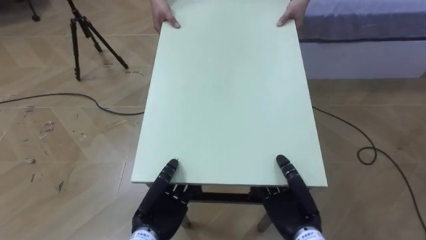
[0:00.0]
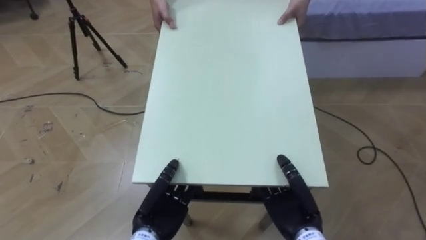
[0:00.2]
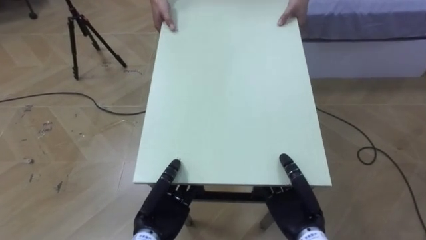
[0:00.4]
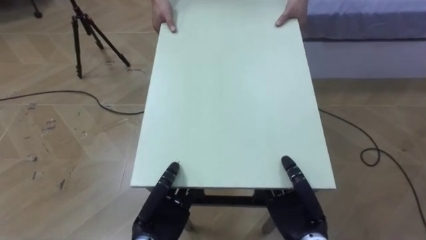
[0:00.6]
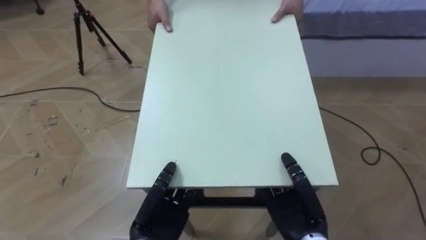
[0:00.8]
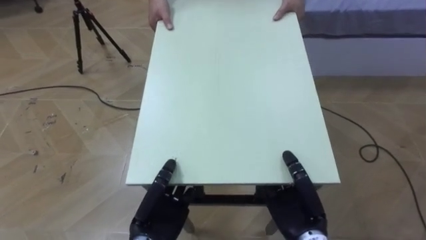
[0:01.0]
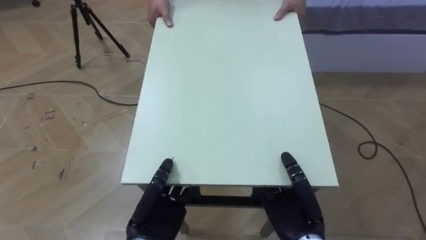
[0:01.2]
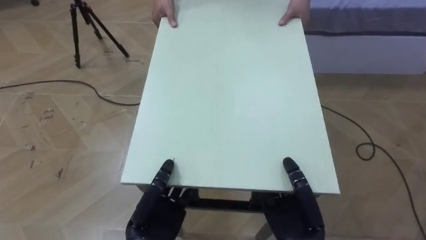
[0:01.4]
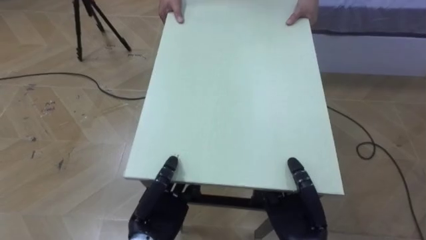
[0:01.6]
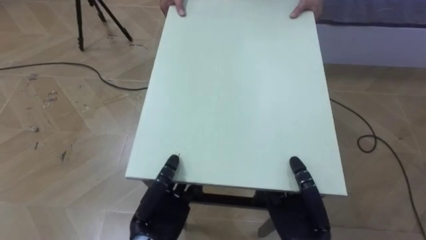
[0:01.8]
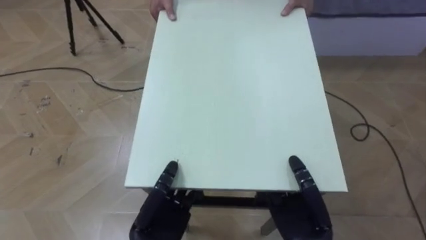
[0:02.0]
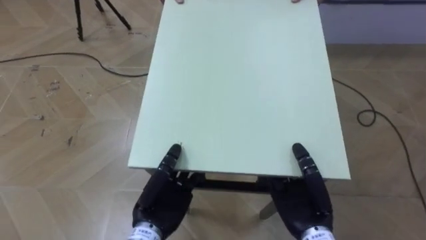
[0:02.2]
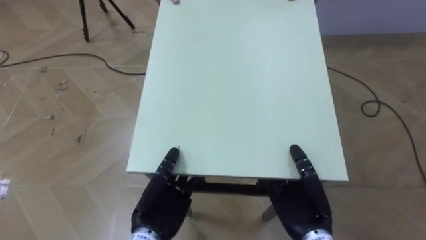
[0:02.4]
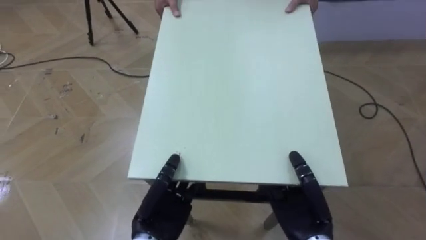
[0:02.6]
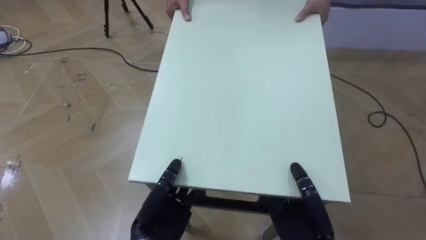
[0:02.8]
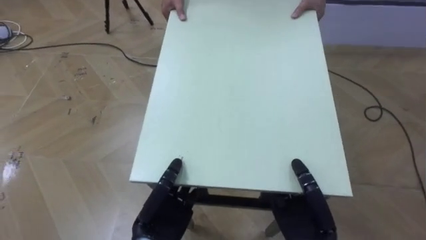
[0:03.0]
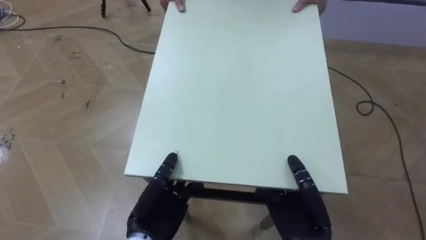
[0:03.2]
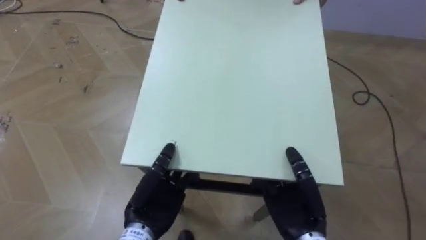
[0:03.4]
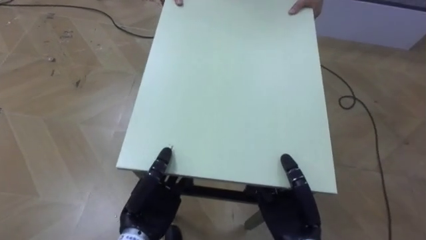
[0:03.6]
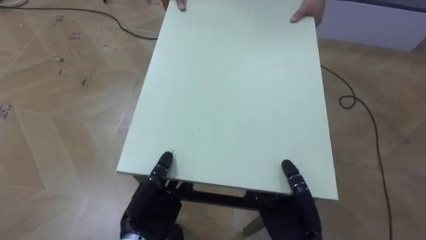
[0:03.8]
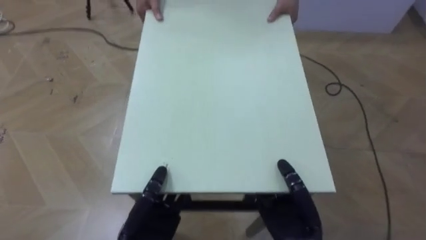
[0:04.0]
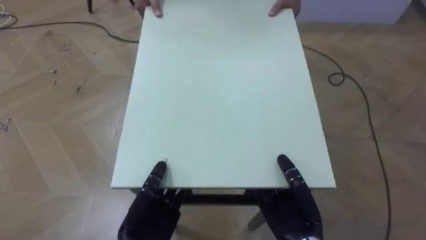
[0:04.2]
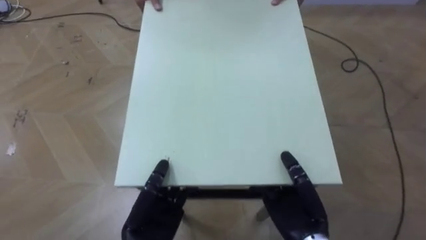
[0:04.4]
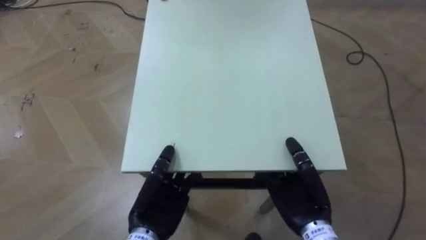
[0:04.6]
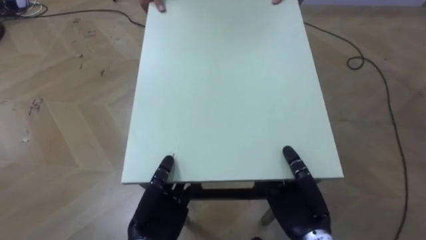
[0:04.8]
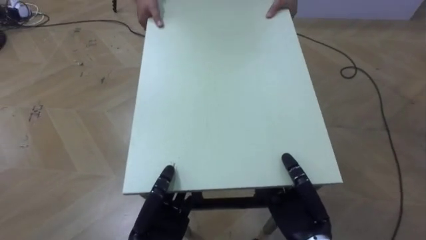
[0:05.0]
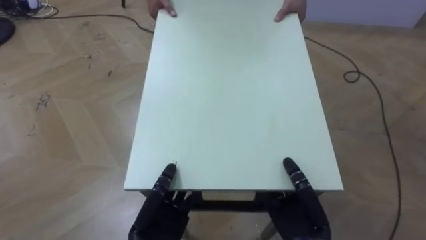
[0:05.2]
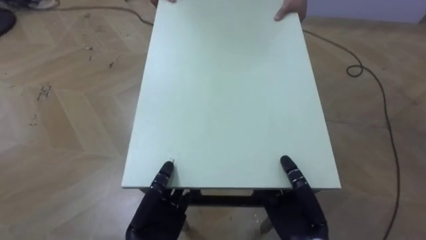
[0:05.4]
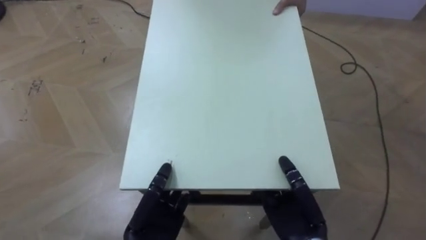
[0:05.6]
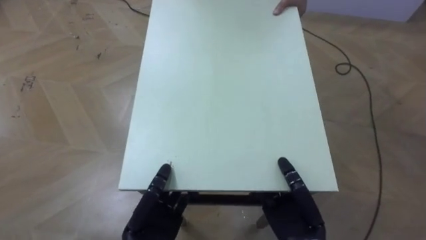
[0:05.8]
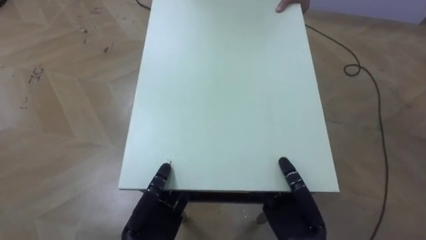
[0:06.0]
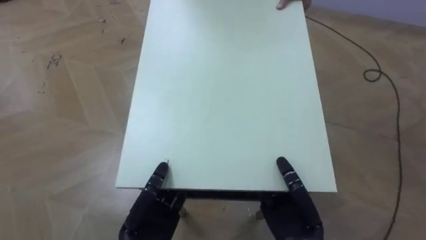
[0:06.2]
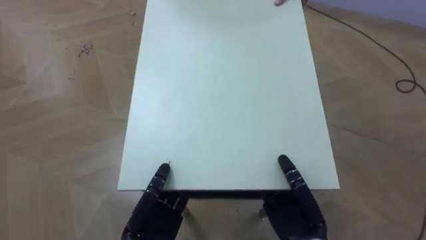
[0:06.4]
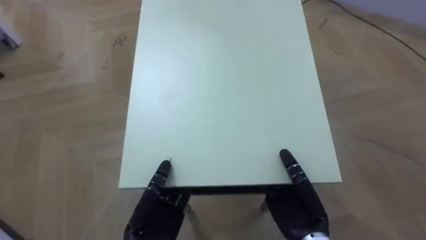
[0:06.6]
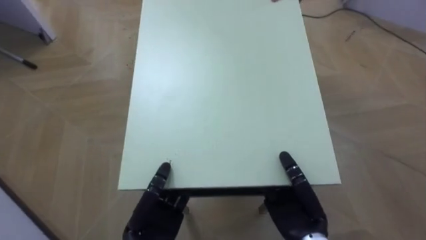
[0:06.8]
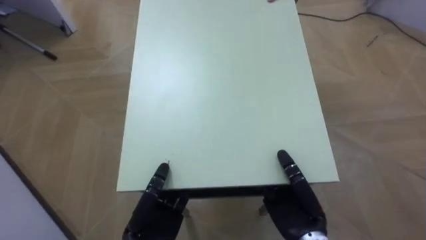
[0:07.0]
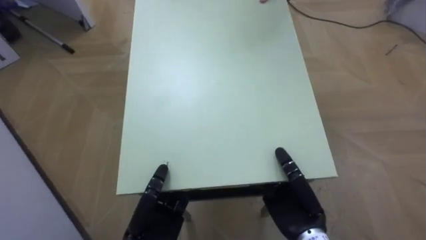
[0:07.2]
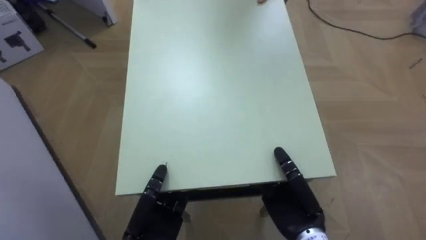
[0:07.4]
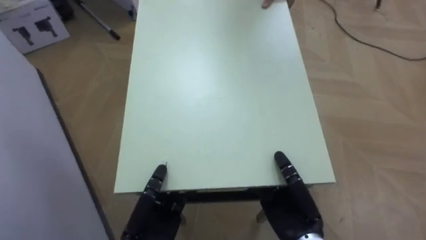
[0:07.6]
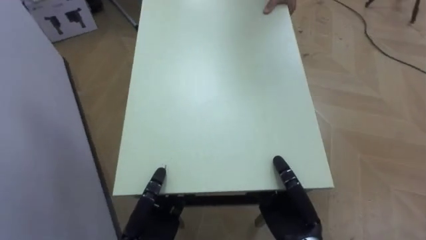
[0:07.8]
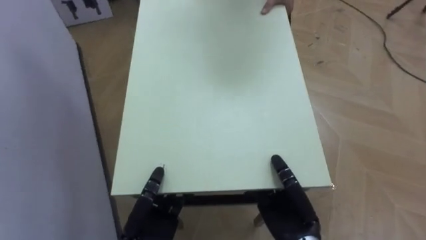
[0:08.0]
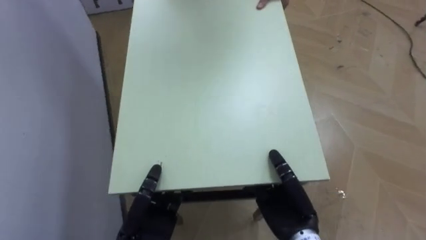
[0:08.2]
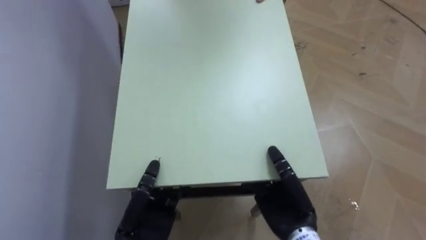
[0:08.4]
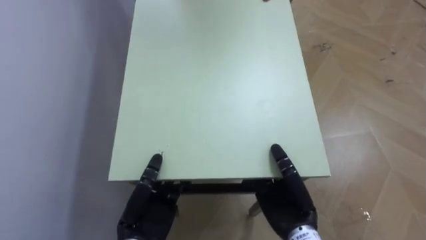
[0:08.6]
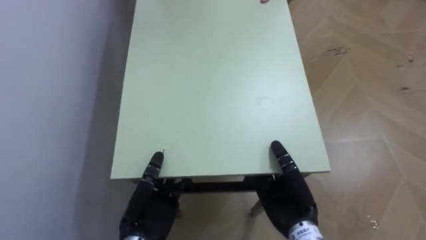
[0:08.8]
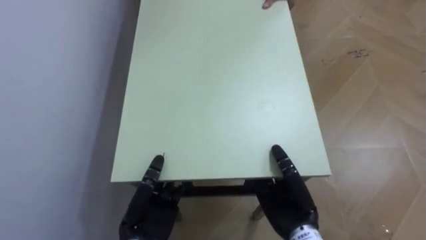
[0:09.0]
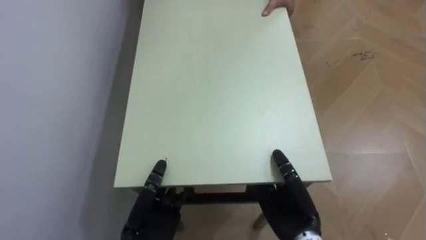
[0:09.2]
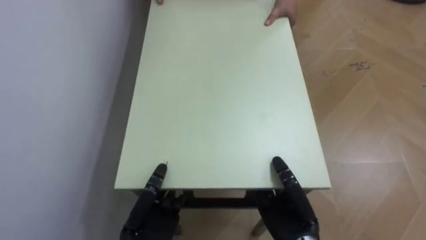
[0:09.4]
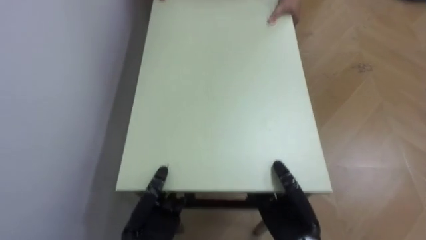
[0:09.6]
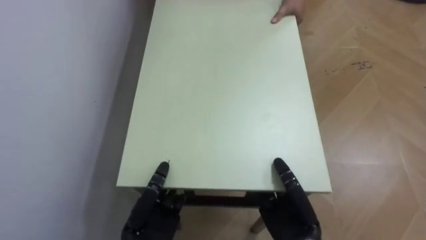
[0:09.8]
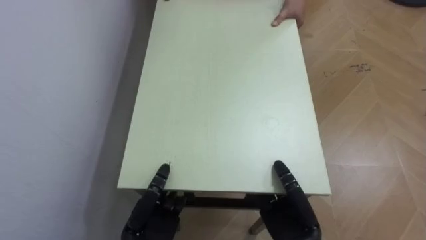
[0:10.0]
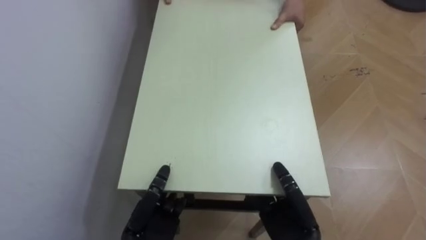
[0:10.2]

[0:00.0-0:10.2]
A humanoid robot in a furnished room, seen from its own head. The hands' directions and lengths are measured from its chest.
Task of the whole recording: Move the table to the back left with someone.
0:05.8 to 0:07.2: The robot turns to its left by about 30 degrees.
0:07.2 to 0:08.8: The robot rotates some 45 degrees to its left.

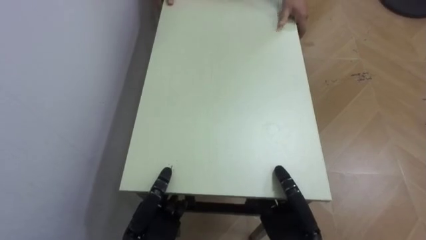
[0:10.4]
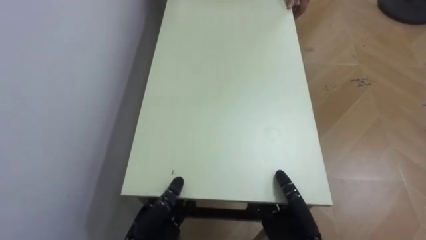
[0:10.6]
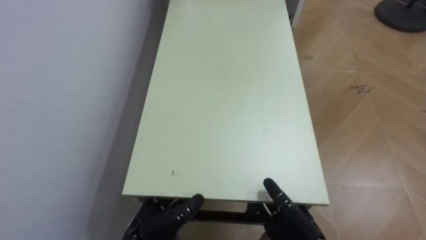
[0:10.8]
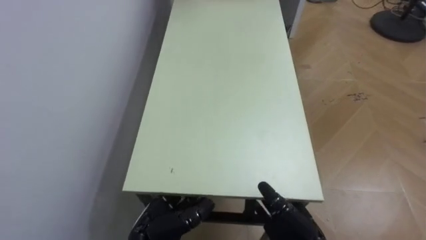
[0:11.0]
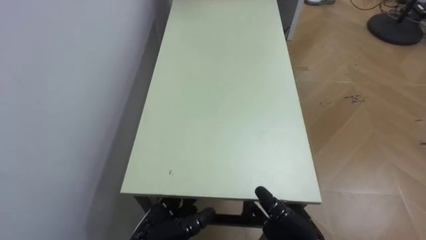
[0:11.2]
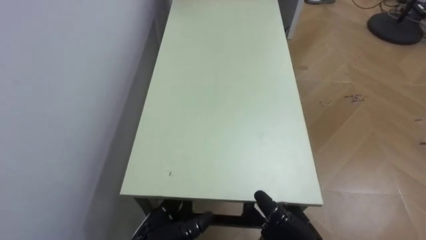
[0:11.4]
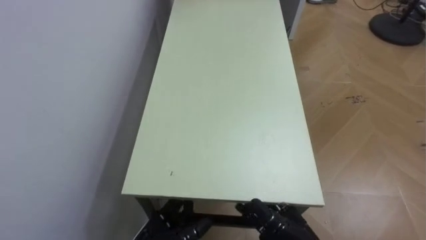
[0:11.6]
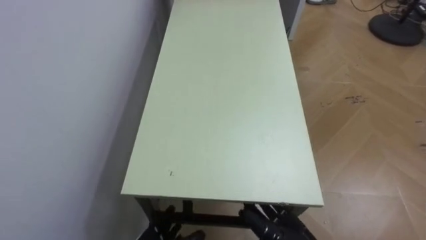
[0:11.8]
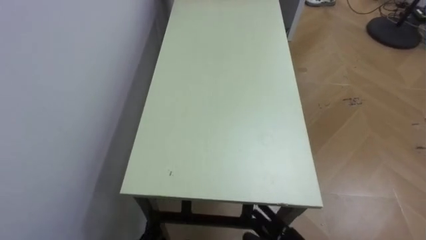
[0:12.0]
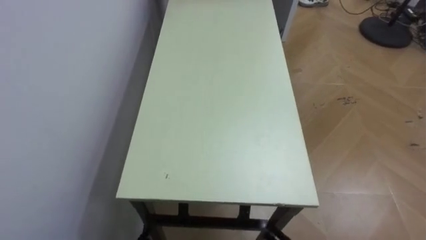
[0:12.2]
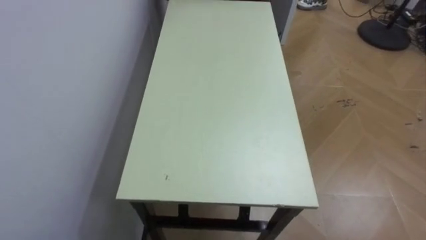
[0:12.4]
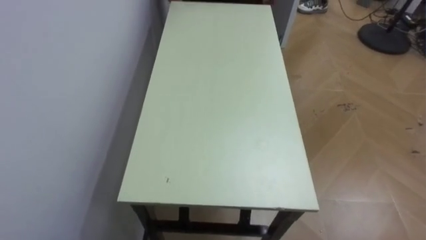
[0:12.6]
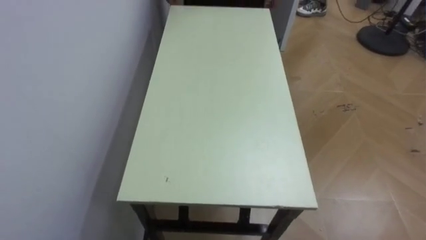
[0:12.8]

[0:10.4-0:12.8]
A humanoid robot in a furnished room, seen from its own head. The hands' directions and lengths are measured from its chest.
Task of the whole recording: Move the table to the back left with someone.
0:10.4 to 0:11.6: The left hand opens up; the right hand opens its fingers.

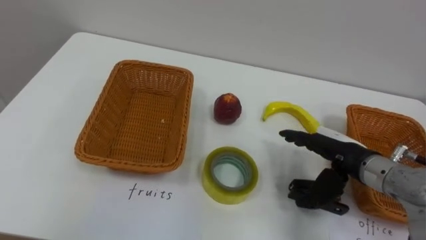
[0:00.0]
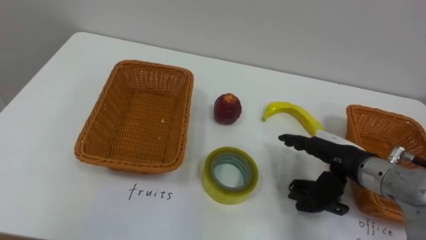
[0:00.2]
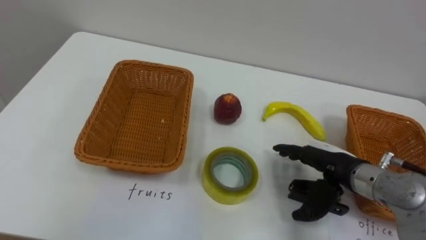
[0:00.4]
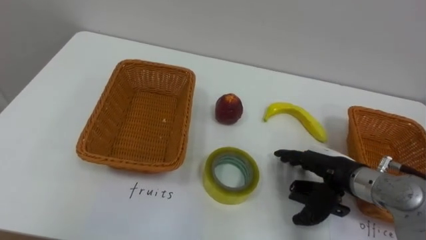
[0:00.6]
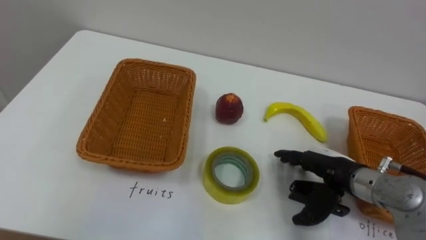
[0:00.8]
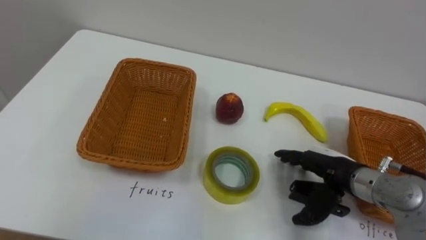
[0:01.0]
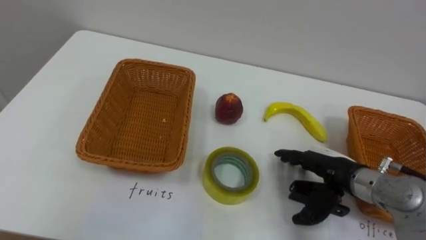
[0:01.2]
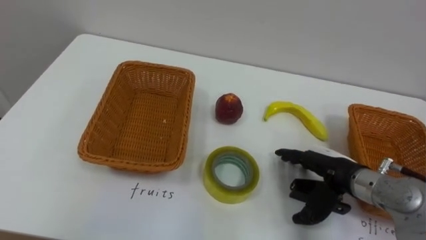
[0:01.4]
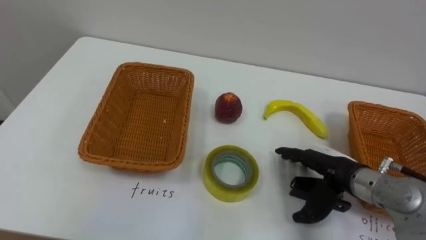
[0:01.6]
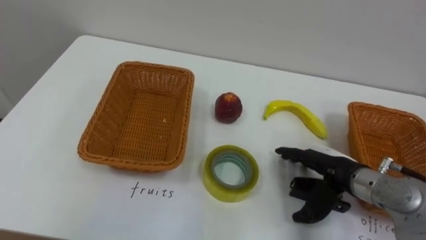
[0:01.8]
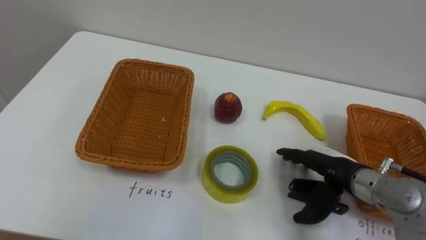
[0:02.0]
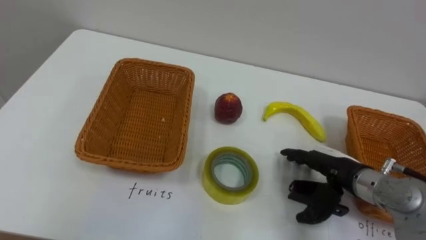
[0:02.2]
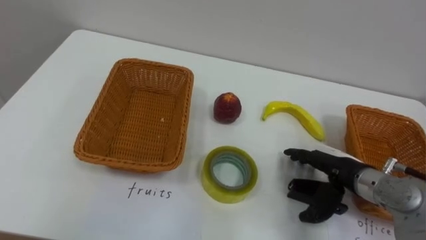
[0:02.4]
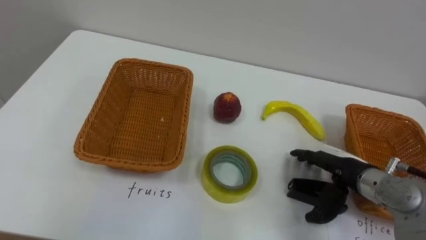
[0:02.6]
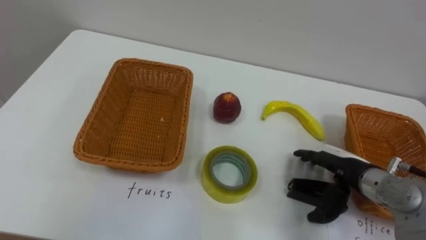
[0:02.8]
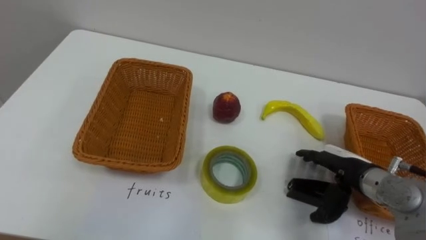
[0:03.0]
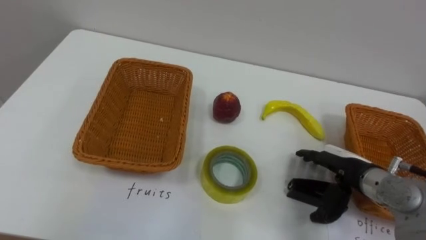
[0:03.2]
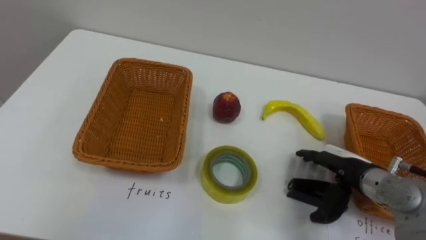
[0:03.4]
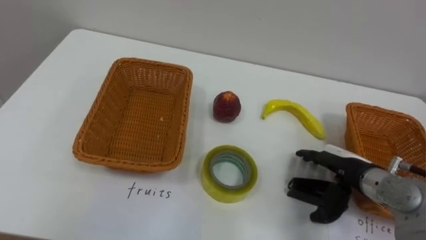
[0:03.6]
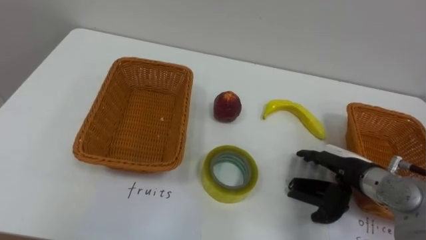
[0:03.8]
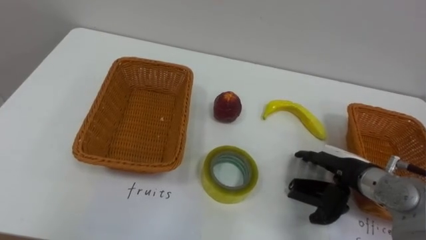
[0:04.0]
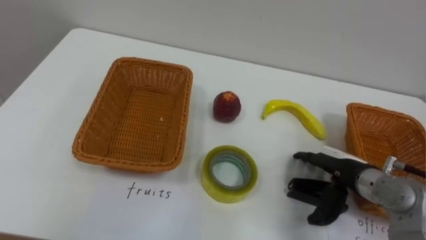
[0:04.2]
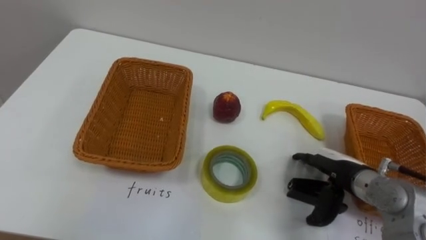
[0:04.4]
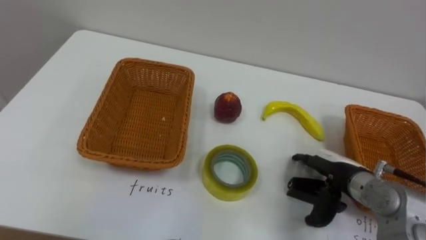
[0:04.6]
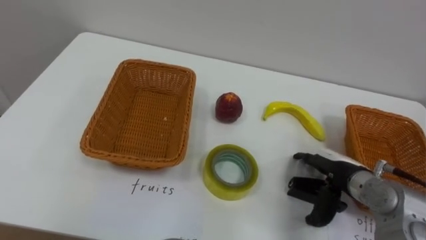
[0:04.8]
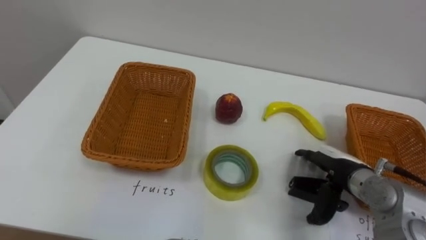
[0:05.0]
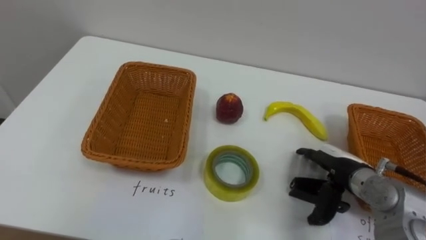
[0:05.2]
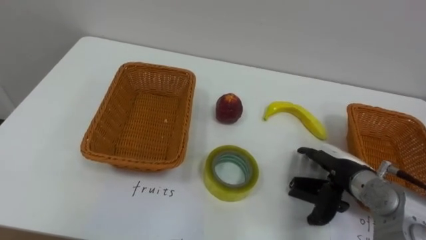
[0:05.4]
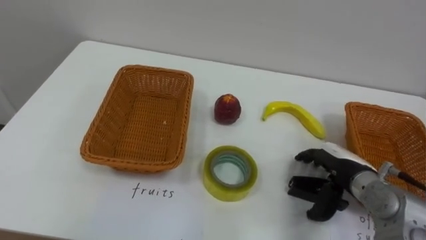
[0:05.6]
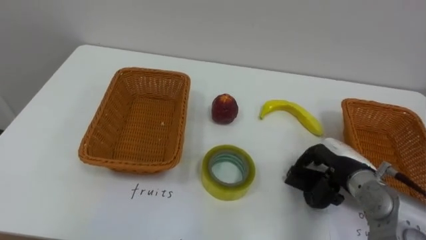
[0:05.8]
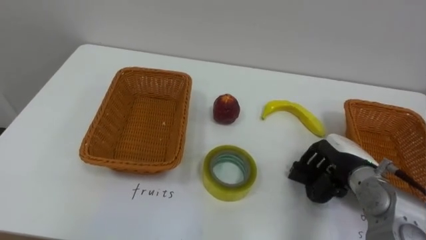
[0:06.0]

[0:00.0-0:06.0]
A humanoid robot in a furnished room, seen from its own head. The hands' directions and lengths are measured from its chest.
Task of the whole recording: Separate the items on the table and place them into the two baskets.
0:04.4 to 0:06.0: The right hand closes up.
